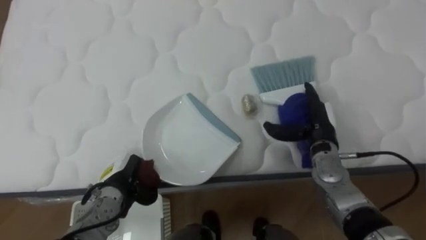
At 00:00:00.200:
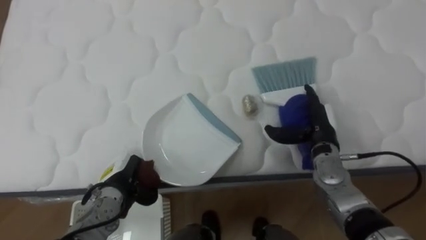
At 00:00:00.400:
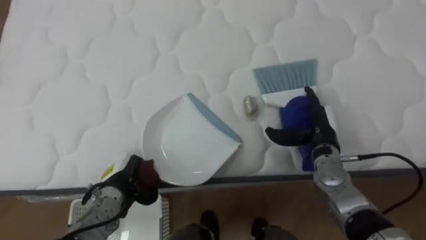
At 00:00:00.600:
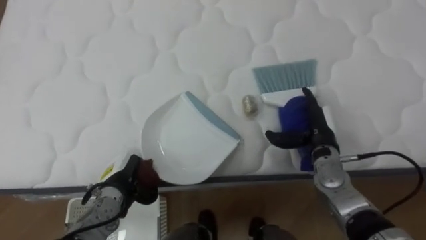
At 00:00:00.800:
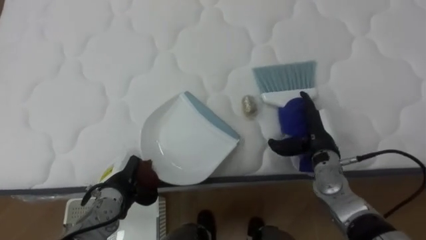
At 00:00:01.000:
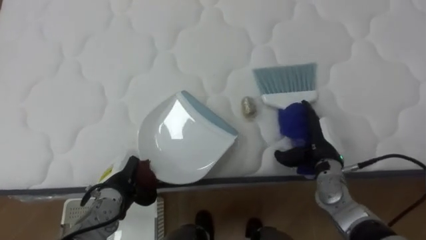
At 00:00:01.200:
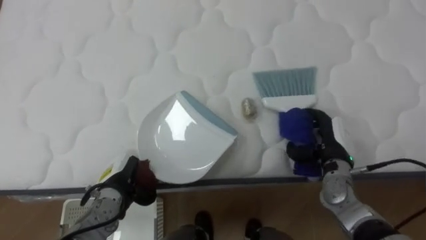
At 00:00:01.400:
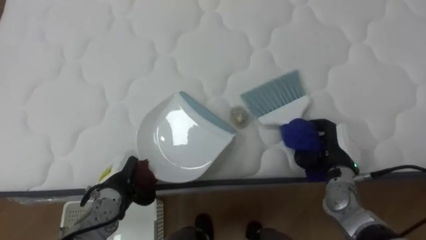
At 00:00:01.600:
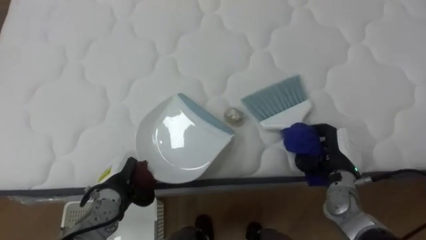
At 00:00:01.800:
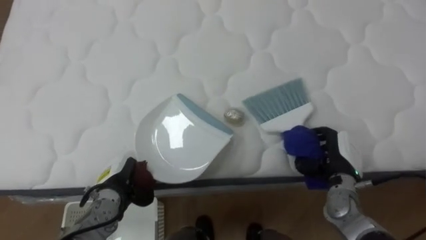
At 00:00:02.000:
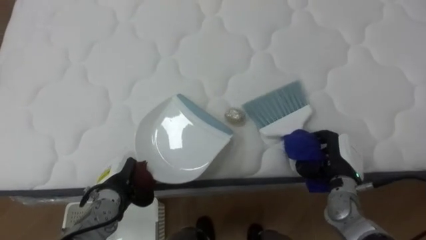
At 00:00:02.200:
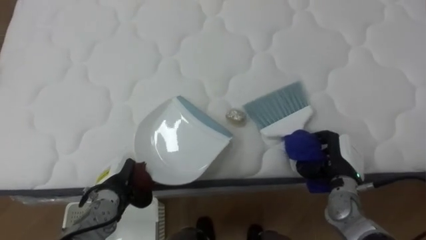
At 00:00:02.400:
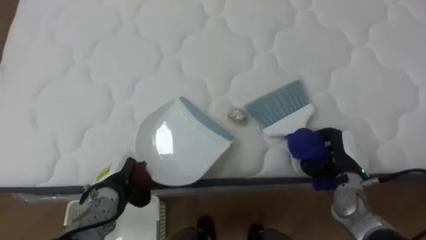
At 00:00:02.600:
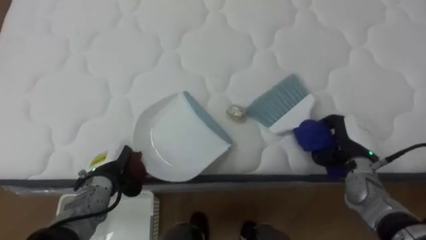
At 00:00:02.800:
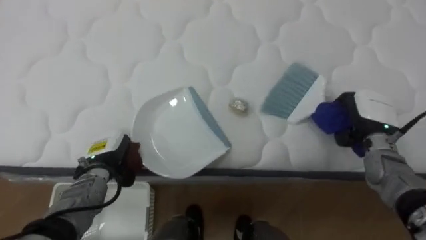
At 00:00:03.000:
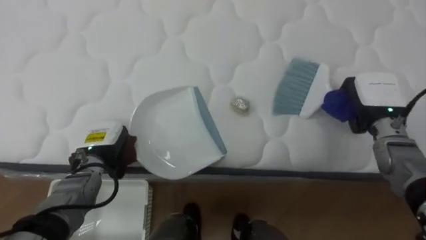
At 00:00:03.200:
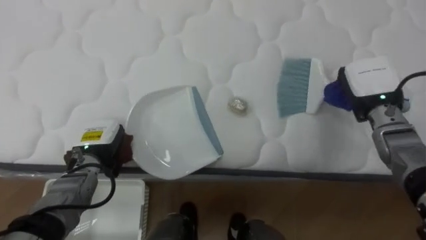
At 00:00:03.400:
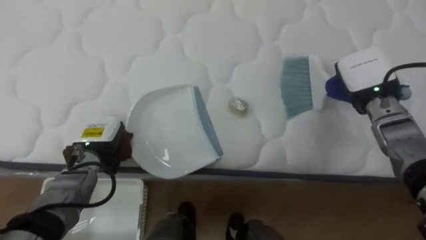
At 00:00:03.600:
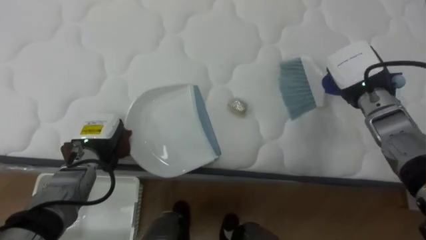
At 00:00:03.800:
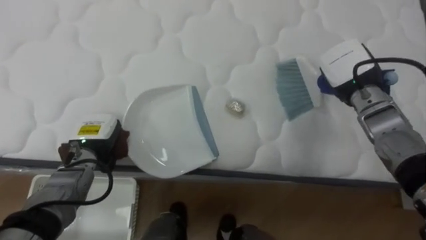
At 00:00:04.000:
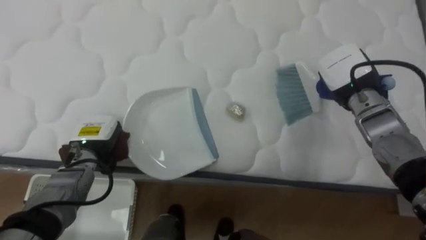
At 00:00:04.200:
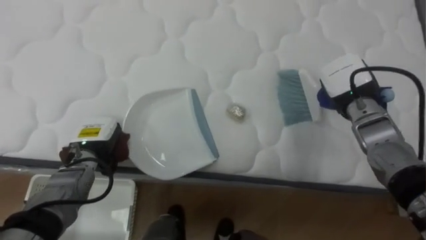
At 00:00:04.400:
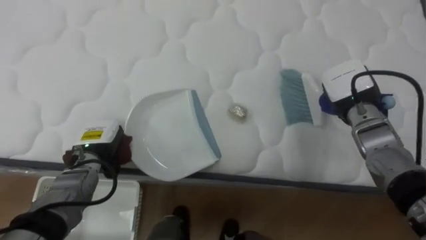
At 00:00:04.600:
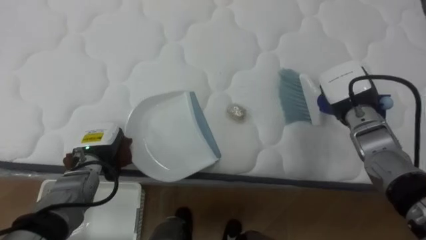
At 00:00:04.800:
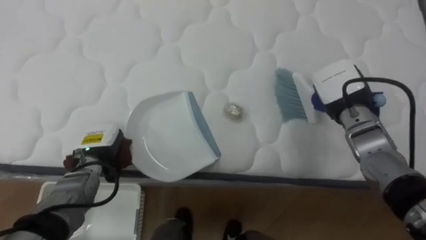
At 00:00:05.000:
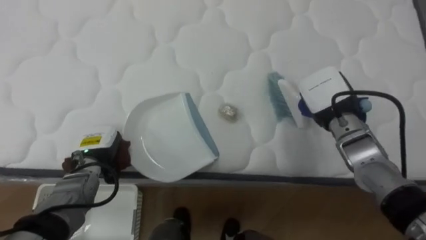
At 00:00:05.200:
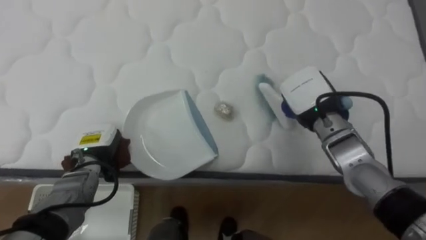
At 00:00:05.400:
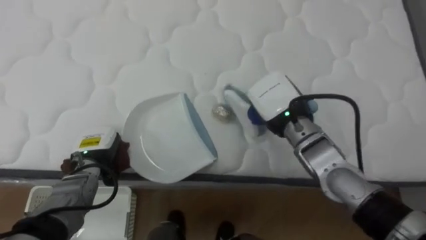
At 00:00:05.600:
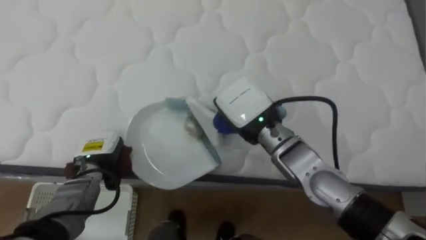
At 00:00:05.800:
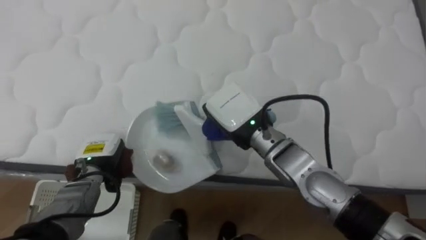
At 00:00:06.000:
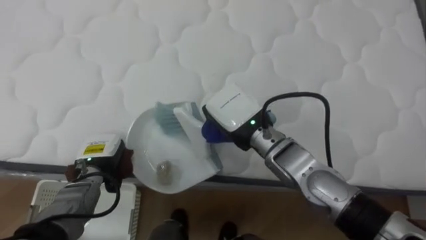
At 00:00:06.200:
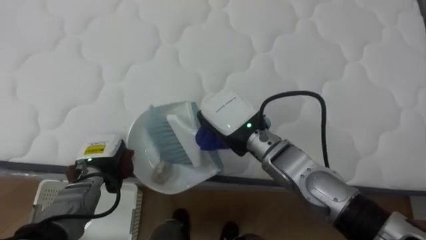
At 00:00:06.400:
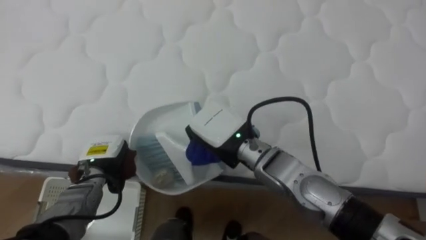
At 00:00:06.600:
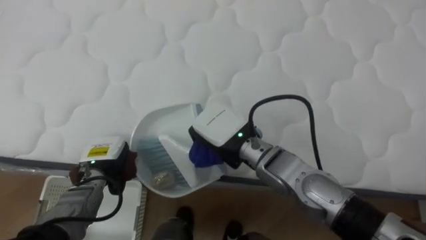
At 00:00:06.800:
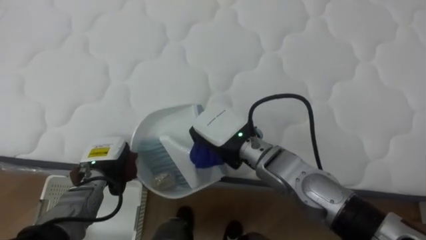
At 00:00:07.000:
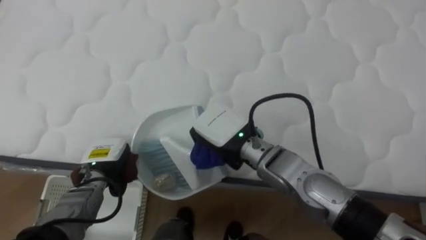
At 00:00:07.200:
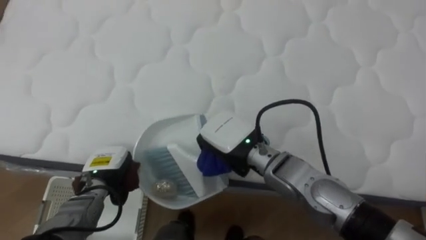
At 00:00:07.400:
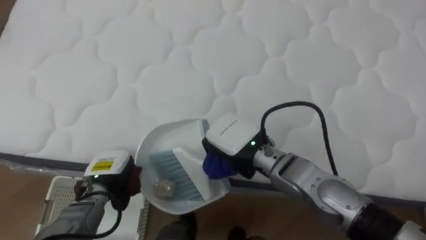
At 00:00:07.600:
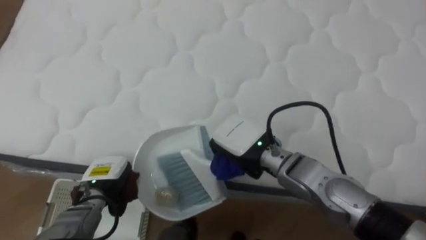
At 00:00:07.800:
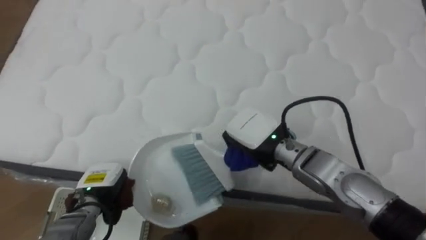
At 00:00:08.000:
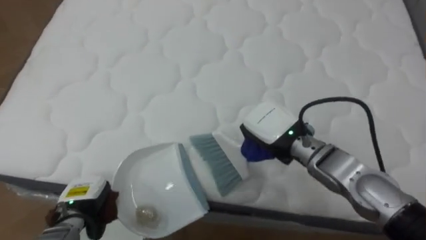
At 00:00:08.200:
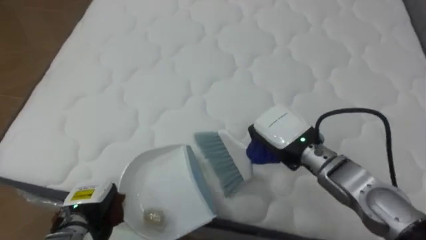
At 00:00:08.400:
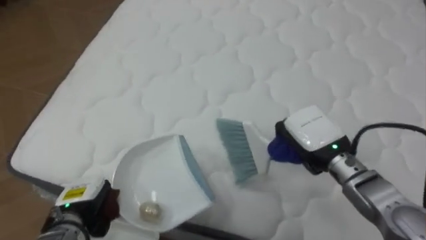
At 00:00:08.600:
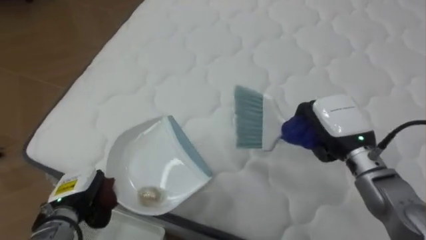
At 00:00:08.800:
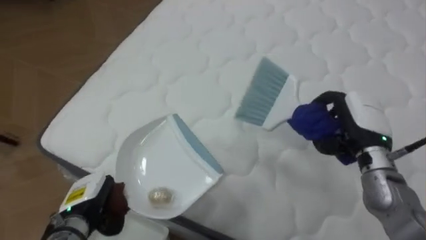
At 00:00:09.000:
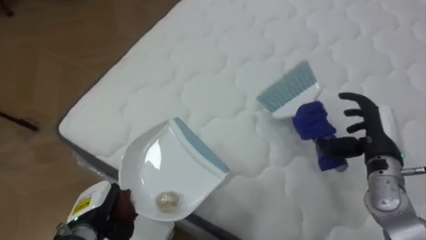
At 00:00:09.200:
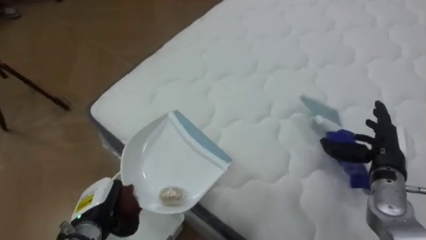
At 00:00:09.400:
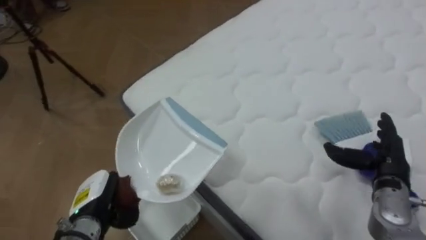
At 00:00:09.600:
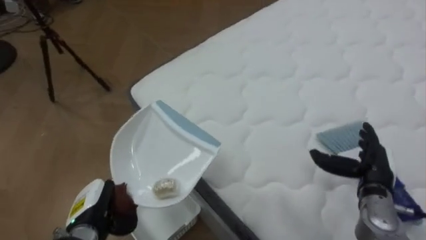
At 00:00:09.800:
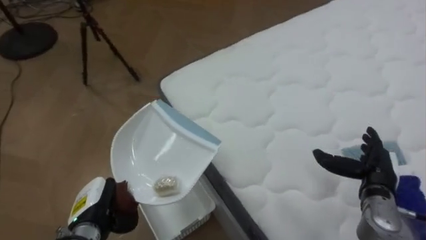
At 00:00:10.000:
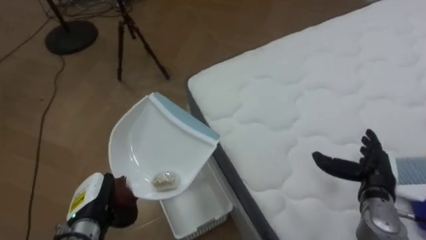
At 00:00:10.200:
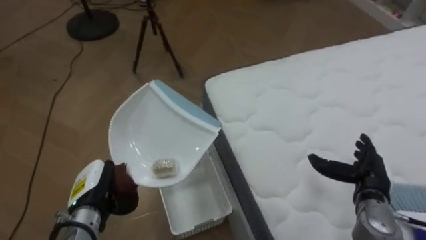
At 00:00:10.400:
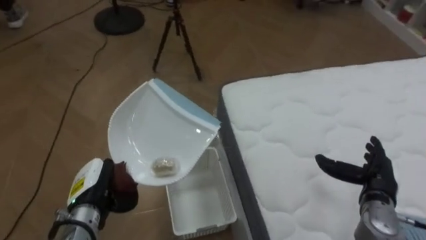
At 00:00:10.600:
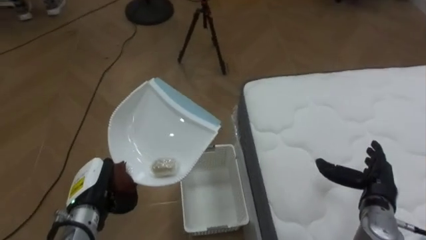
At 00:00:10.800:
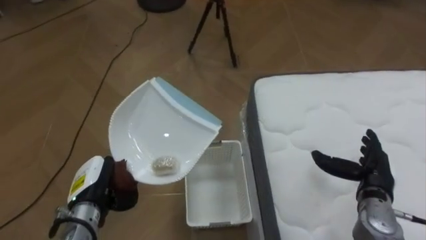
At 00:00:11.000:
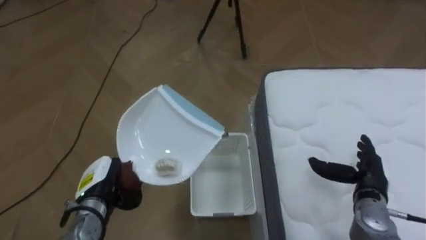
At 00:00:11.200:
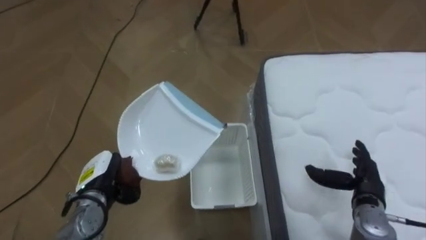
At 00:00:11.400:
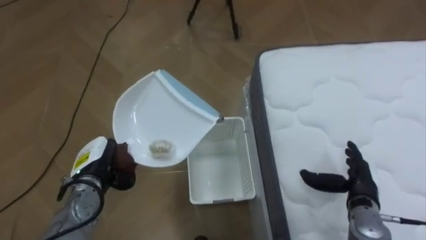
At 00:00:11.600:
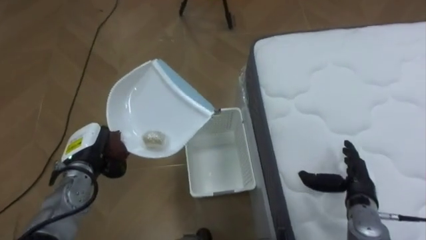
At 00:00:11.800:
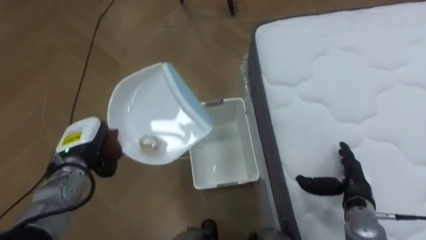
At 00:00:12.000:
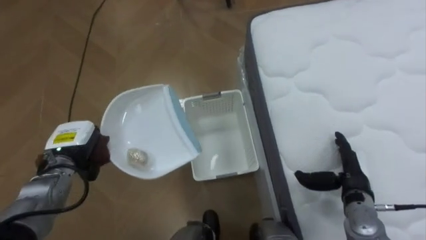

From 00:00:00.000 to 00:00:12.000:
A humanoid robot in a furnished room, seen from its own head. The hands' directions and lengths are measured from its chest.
Task of the whole recording: Pick up the brush on your right and the dustpan on your left. Use the brush to sweep the crumpled paper on the bed into the dustpan, then turn left and empty it into the basket.
From 00:00:00.000 to 00:00:01.600: The right hand goes roughly 5 cm to the right and backward, and closes up.
From 00:00:01.600 to 00:00:03.000: The right hand goes approximately 15 cm upward, forward and to the right. The left hand moves upward and forward, about 10 cm.
From 00:00:03.000 to 00:00:04.400: The right hand travels to the left by roughly 5 cm.
From 00:00:04.400 to 00:00:06.000: The right hand travels to the left by about 20 cm.
From 00:00:06.000 to 00:00:07.600: The right hand changes place by about 5 cm.
From 00:00:07.600 to 00:00:09.000: The robot turns to its left by roughly 25 degrees. The right hand moves to the right, roughly 25 cm, and opens. Meanwhile the left hand moves backward, some 5 cm.
From 00:00:09.000 to 00:00:10.400: The robot rotates roughly 55 degrees to its left. The right hand heads downward and backward, covering roughly 10 cm.
From 00:00:10.400 to 00:00:12.000: The left hand travels forward by roughly 10 cm.

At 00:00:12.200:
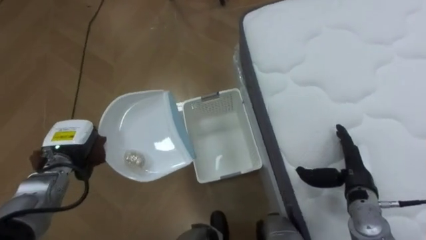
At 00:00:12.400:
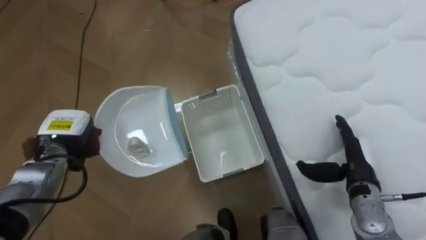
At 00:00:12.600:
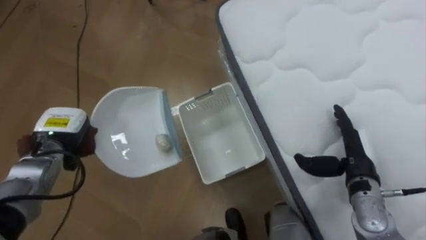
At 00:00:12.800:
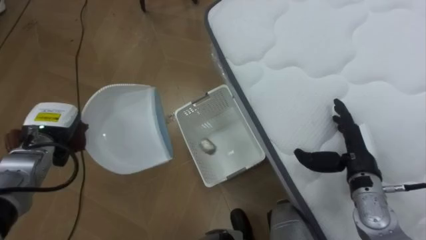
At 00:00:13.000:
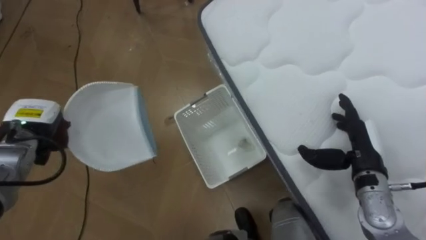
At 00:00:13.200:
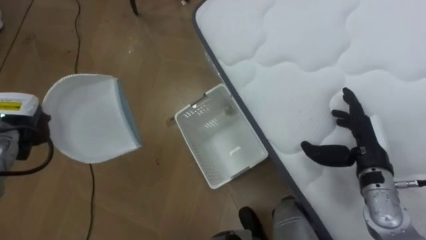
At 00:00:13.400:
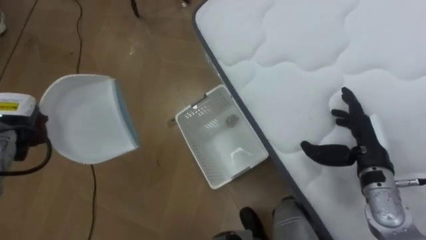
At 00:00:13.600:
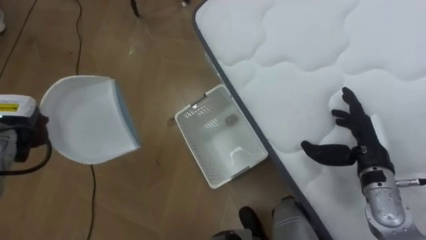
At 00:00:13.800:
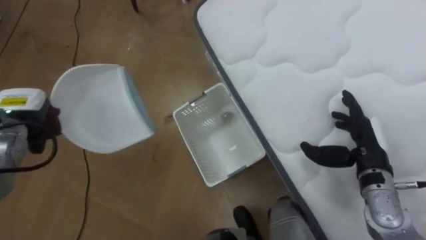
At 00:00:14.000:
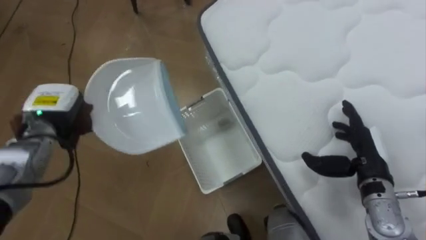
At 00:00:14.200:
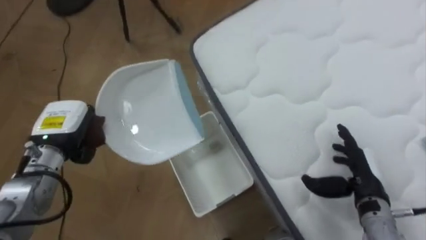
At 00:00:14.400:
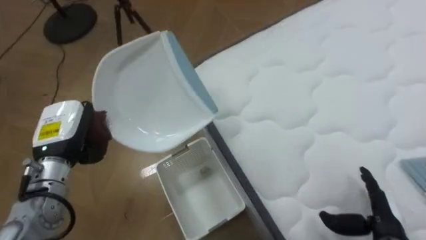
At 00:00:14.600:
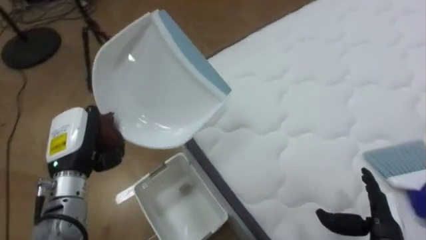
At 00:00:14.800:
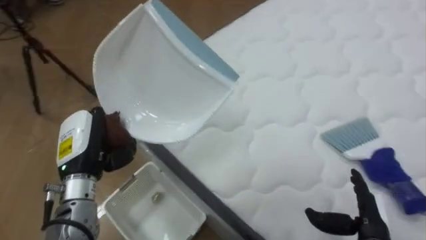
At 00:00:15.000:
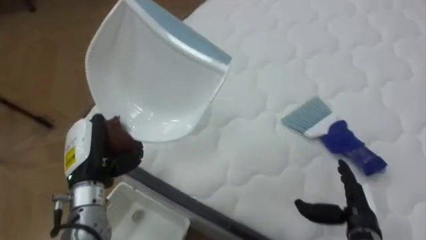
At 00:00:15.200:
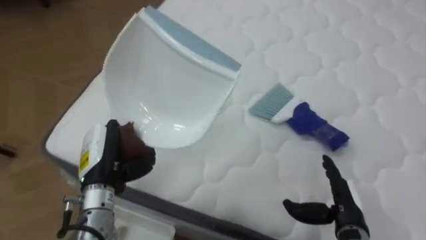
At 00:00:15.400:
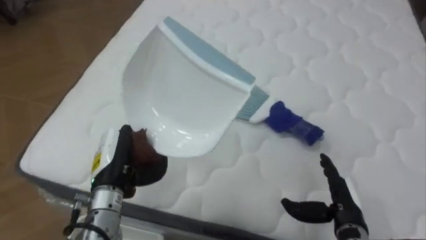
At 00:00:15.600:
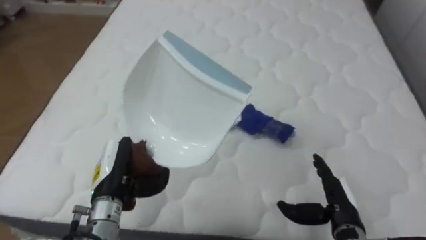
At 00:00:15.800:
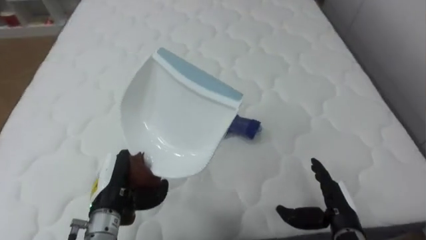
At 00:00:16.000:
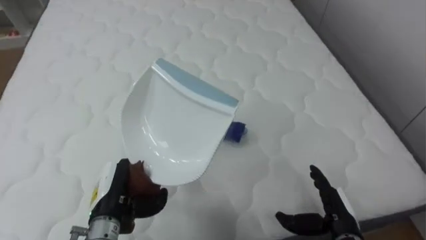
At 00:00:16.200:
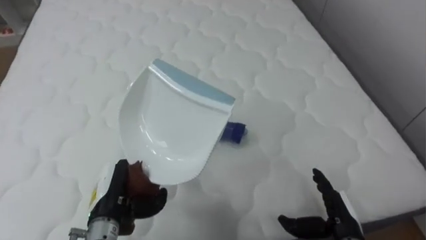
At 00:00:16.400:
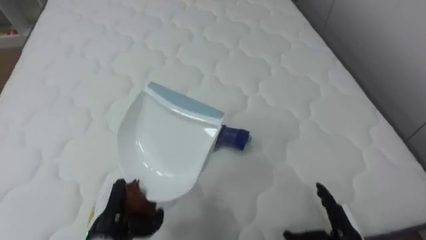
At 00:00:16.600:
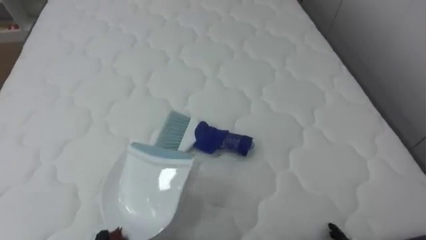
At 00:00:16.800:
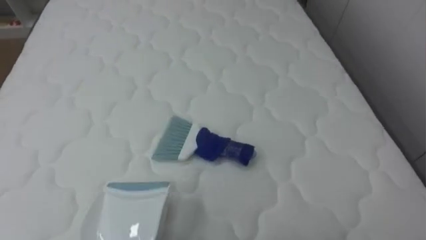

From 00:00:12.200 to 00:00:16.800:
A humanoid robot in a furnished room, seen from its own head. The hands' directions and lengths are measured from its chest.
Task of the whole recording: Pick up the brush on your right and the dustpan on your left. Use the brush to sweep the crumpled paper on the bed into the dustpan, then turn left and empty it into the basket.
From 00:00:12.200 to 00:00:13.800: The right hand is displaced upward by about 5 cm. The left hand travels to the left and upward by some 10 cm.
From 00:00:13.800 to 00:00:15.200: The robot faces about 65 degrees further to its right. The left hand is displaced to the right and backward by approximately 20 cm, while the right hand moves downward and backward, about 10 cm.
From 00:00:15.200 to 00:00:16.800: The robot's body swings roughly 30 degrees to its right.
